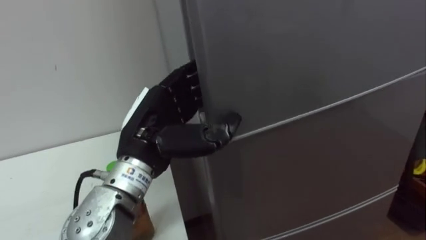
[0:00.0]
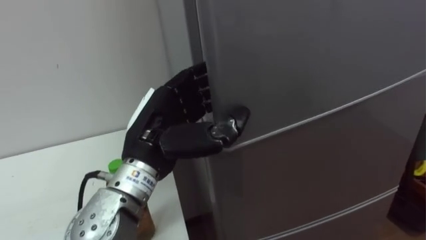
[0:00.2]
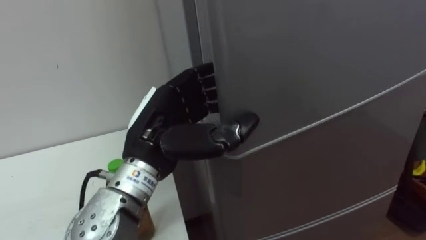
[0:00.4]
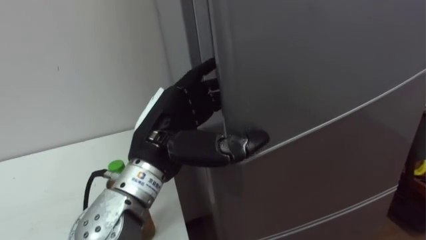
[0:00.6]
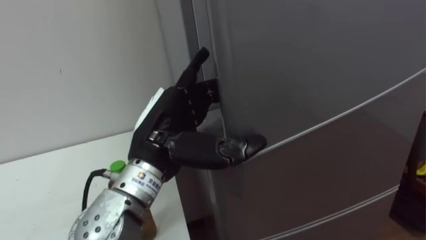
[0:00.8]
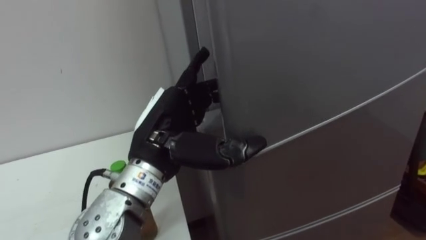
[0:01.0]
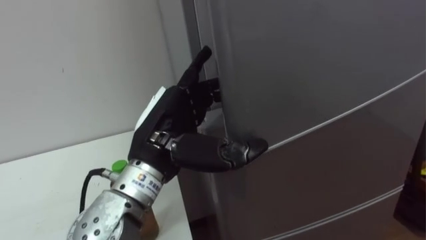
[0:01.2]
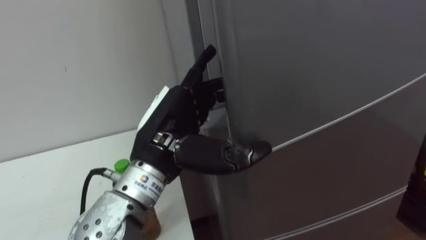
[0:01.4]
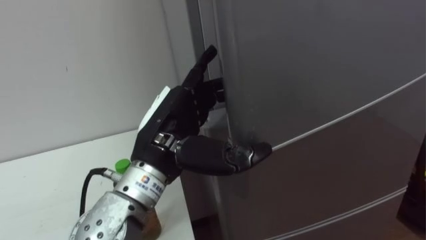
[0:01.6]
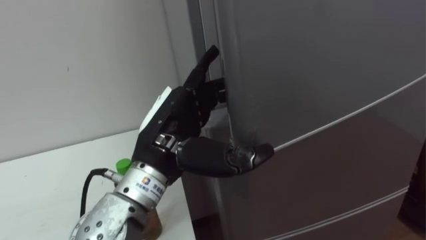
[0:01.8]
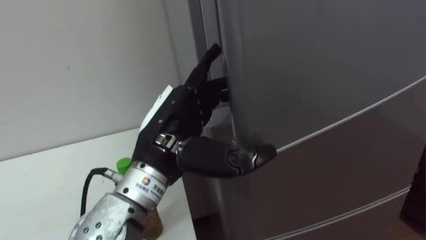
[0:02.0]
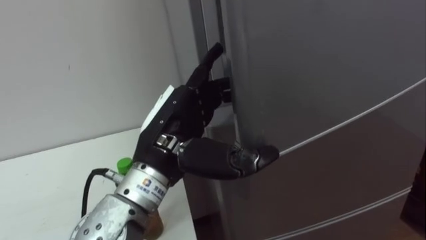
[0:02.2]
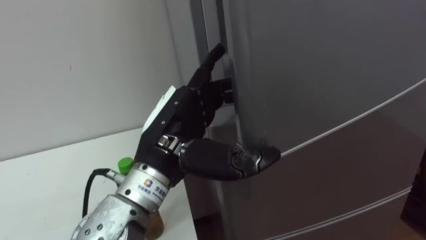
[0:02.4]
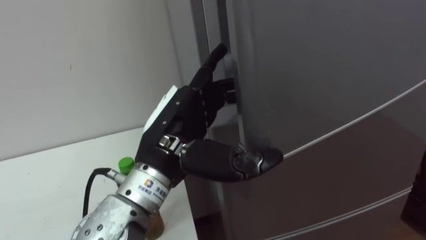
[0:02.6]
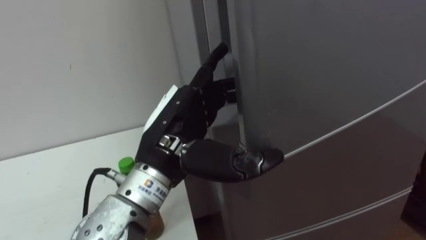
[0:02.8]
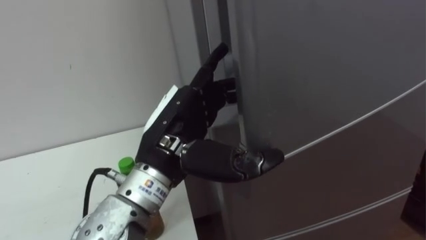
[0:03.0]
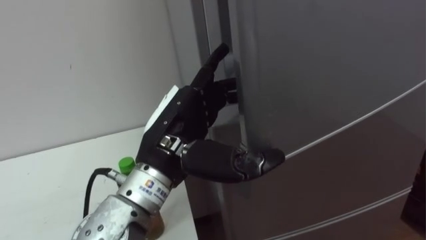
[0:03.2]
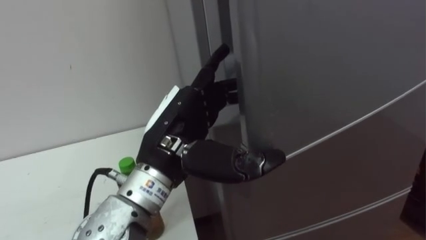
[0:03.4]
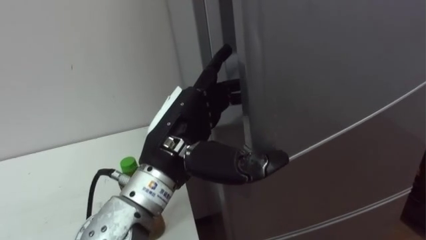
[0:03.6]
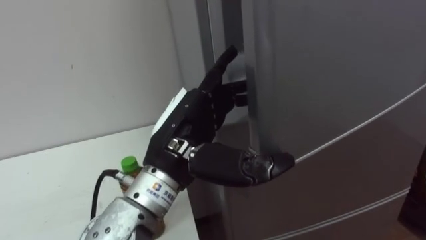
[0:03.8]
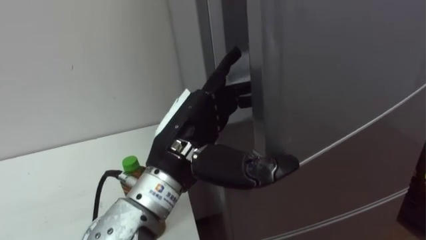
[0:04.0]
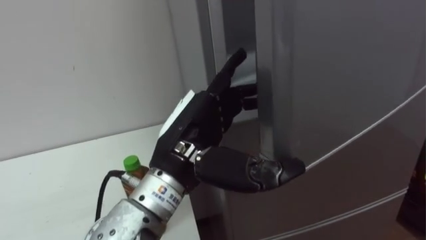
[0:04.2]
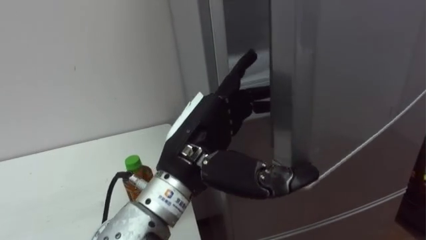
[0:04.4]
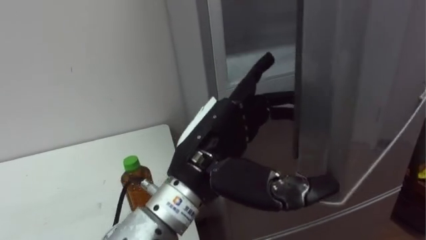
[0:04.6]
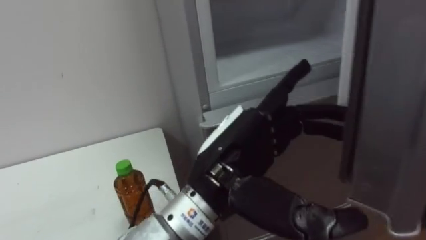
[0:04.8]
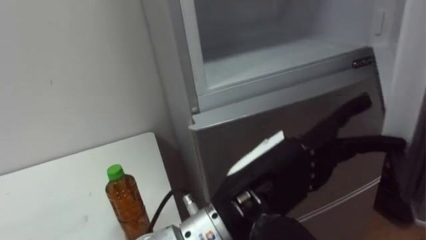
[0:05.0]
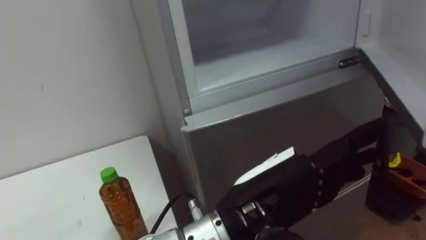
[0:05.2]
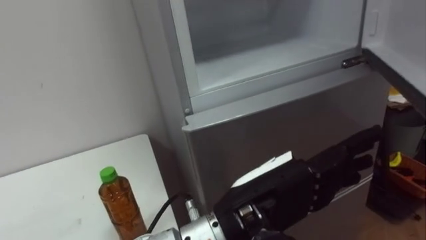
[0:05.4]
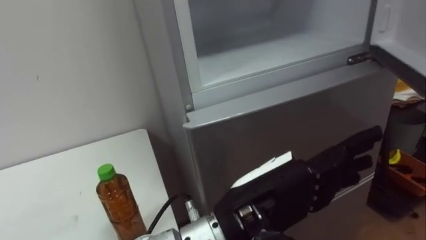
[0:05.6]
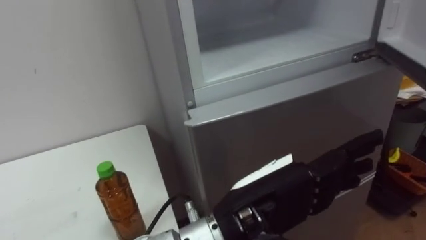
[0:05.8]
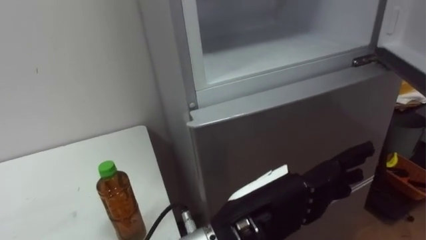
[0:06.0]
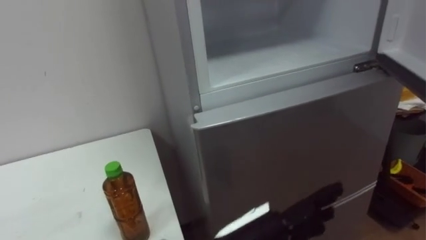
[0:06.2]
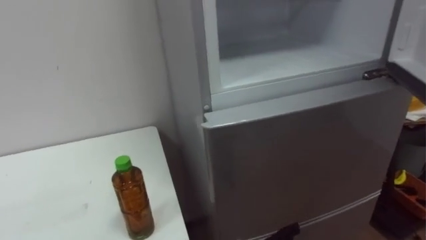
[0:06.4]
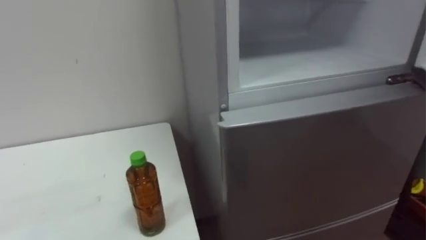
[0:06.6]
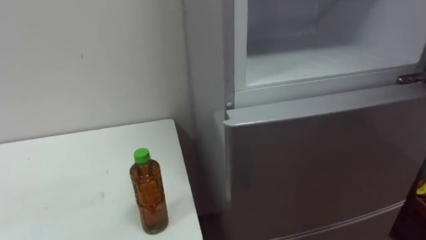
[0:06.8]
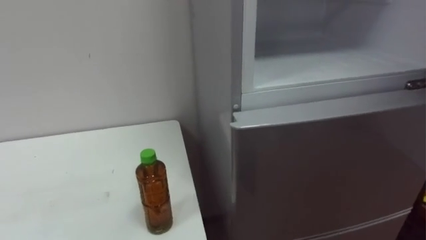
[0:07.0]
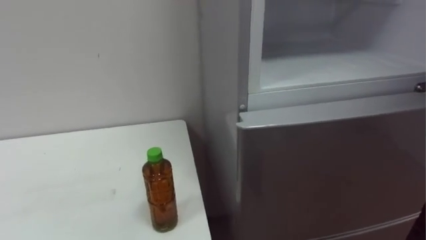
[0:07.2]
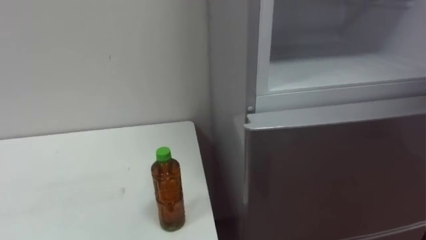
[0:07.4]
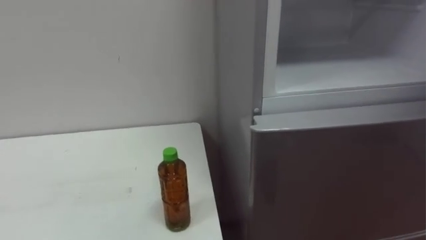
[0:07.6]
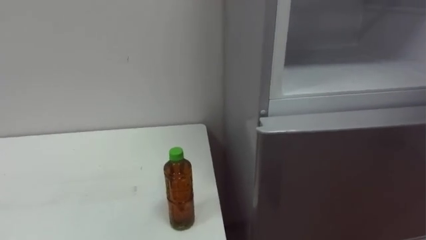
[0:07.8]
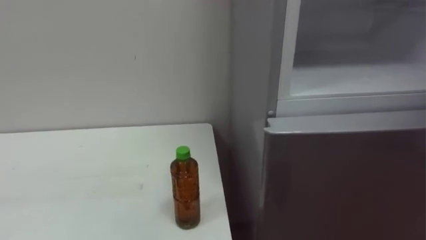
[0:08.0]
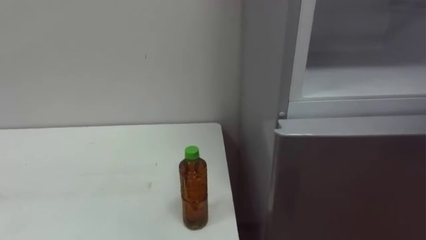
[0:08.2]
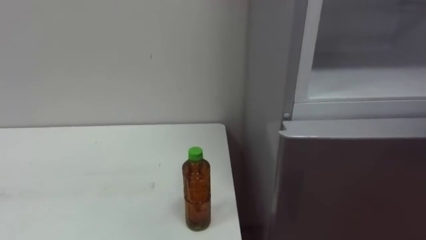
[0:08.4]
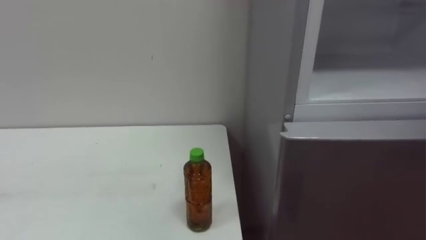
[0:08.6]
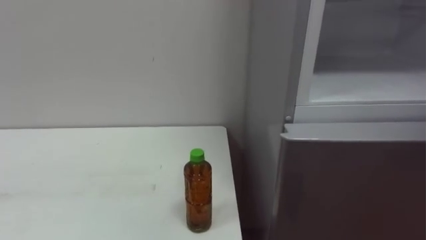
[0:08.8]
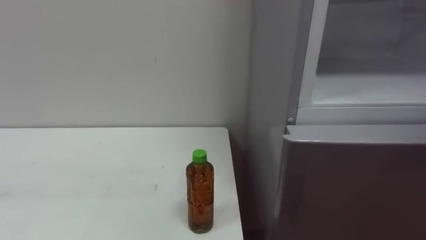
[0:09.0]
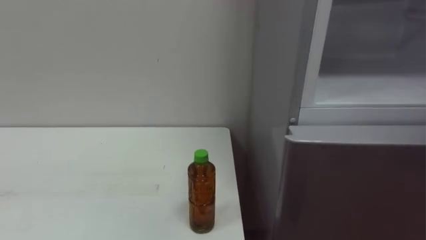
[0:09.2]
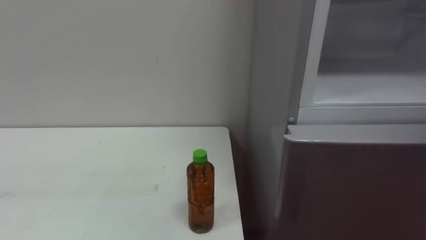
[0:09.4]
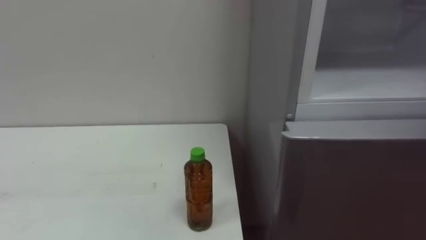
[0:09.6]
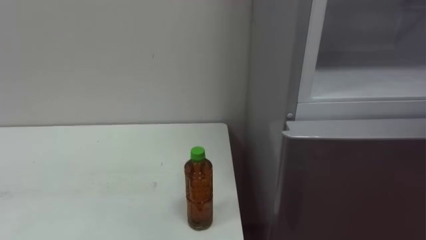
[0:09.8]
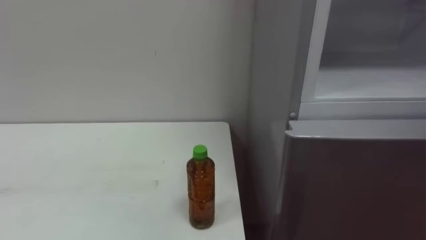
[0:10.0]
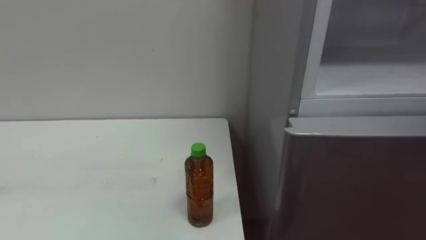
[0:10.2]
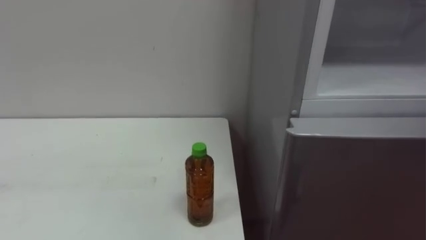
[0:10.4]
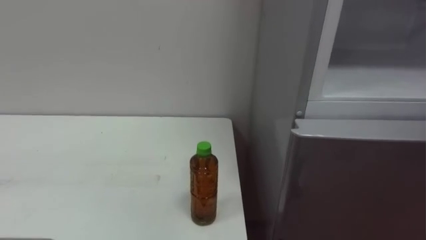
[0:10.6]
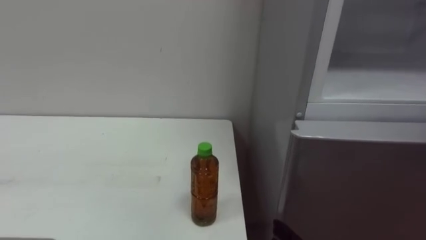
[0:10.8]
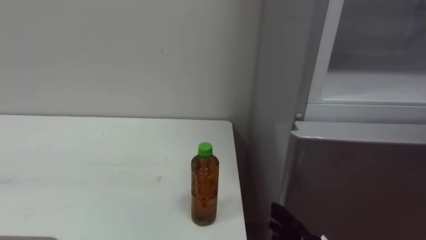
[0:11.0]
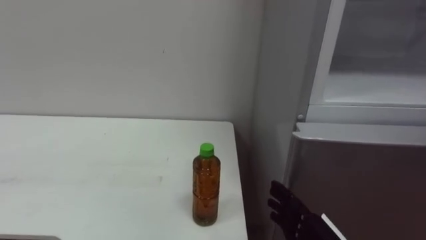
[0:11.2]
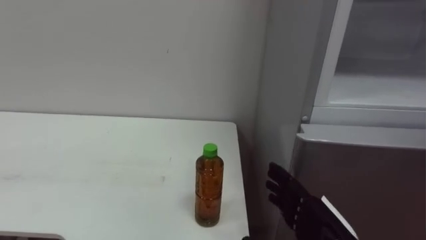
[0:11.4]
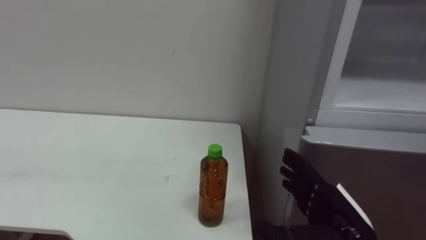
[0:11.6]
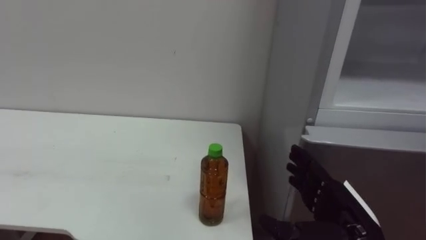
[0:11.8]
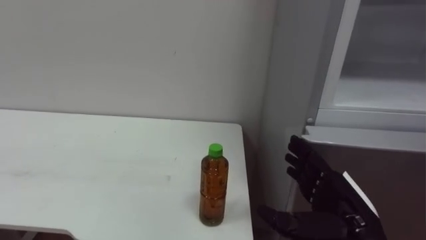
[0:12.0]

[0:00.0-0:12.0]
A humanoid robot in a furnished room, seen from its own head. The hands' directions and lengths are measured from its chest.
Task of the whole recording: Open the upper refrigerator door, put the drink from the table into the refrigerator, and then close the refrigerator door.
0:04.4 to 0:06.0: The left hand travels to the right and backward by some 10 cm.

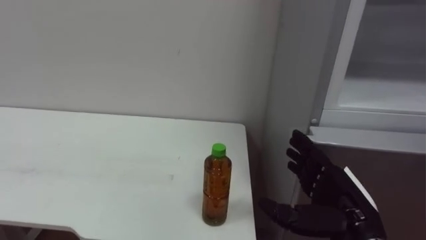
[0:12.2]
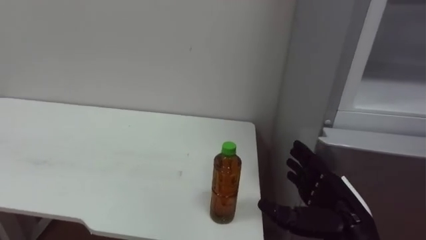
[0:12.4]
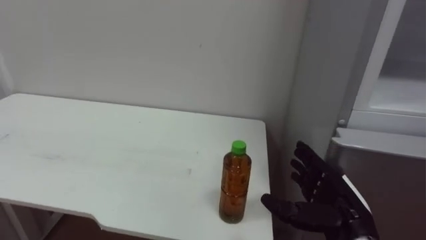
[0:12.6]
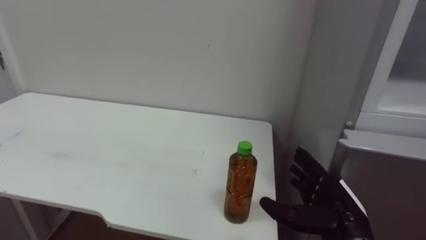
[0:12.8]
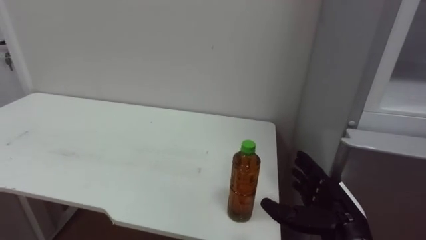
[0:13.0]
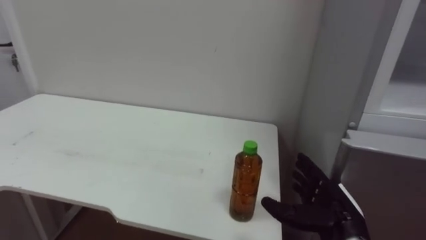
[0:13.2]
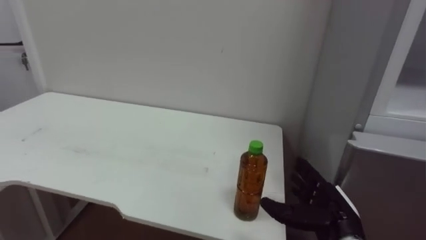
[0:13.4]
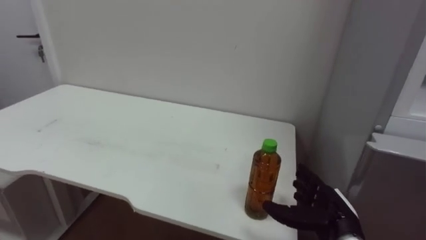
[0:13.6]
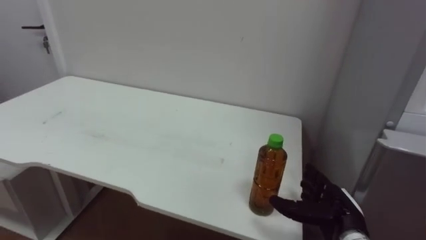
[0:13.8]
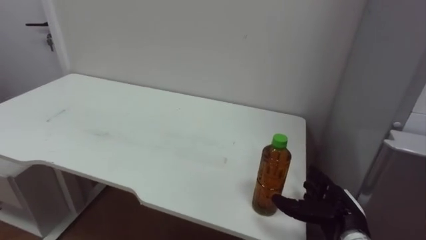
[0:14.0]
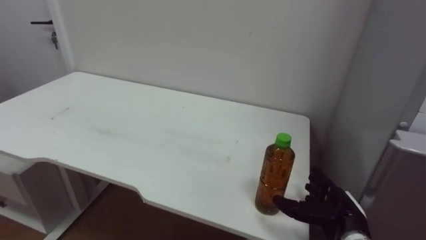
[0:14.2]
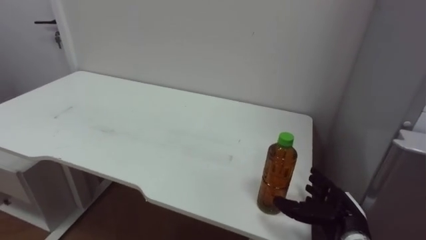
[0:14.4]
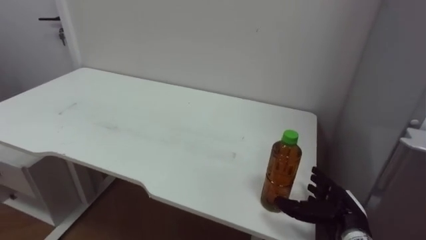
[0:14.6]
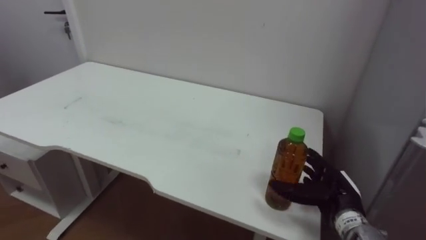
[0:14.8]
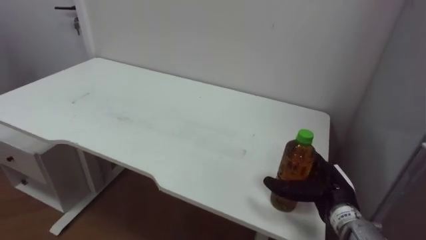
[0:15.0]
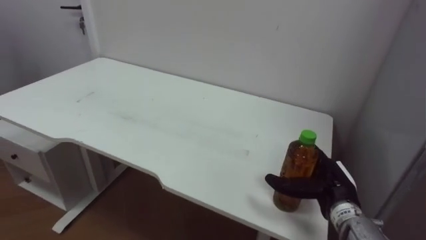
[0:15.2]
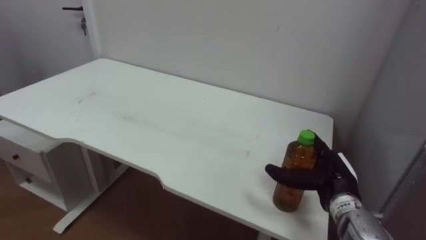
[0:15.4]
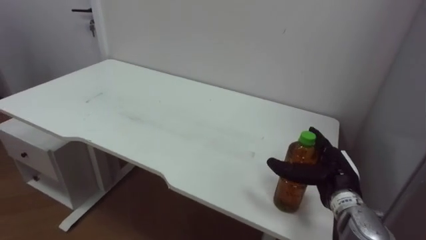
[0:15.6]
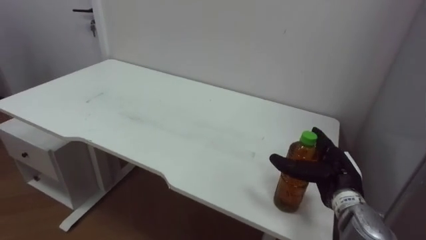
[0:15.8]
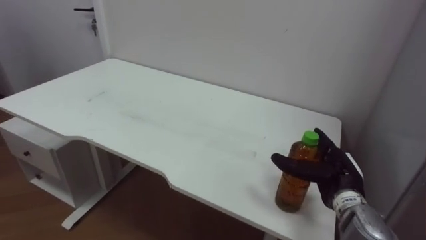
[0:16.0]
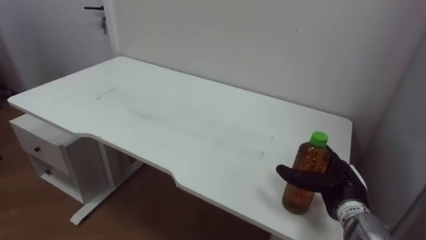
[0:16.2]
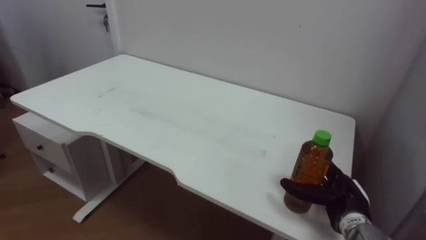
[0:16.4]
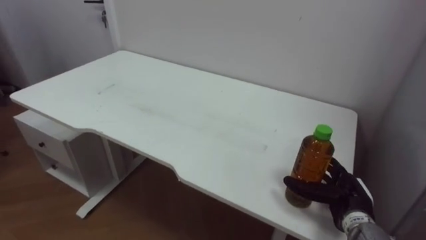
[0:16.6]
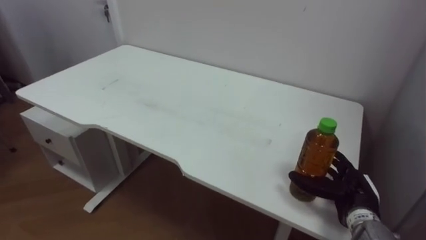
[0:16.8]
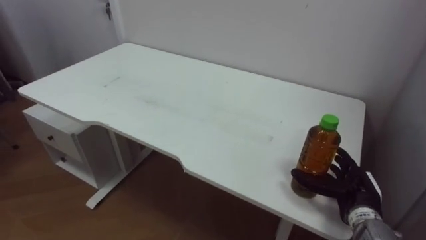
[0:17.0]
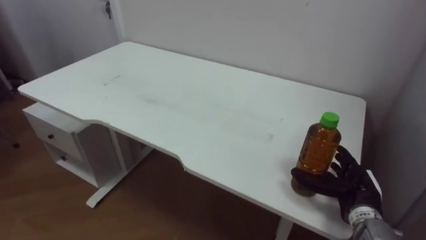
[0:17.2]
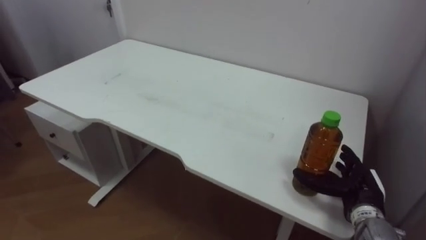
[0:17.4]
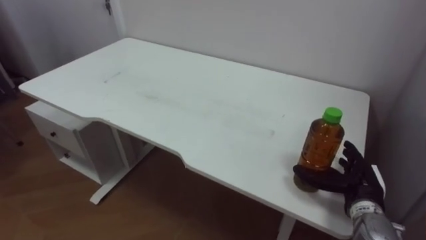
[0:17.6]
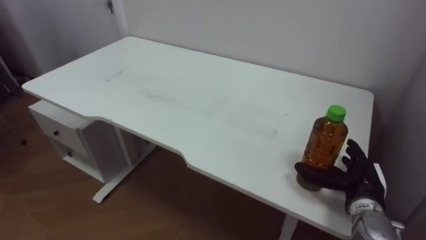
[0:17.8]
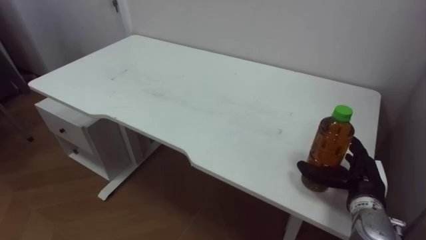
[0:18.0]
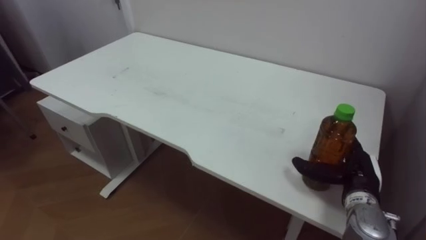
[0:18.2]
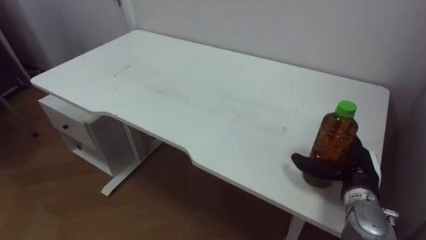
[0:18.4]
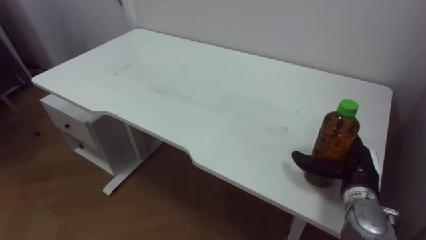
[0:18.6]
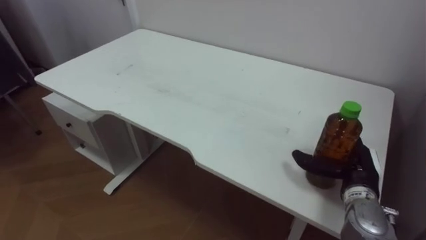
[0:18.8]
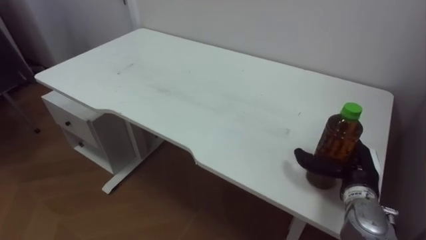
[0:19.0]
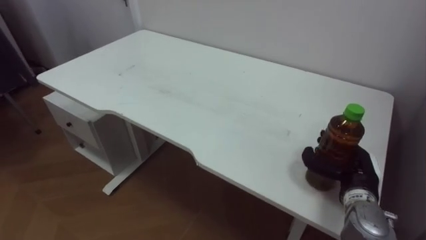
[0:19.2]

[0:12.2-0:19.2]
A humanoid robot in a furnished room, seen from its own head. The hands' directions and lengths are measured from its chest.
Task of the whole recording: Open the upper refrigerator door, put the drink from the table into the refrigerator, and then close the refrigerator door.
0:12.2 to 0:13.6: The right hand moves downward, about 10 cm.
0:17.8 to 0:19.2: The right hand closes up.
